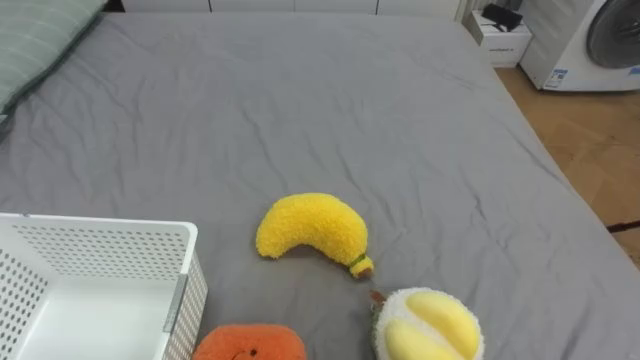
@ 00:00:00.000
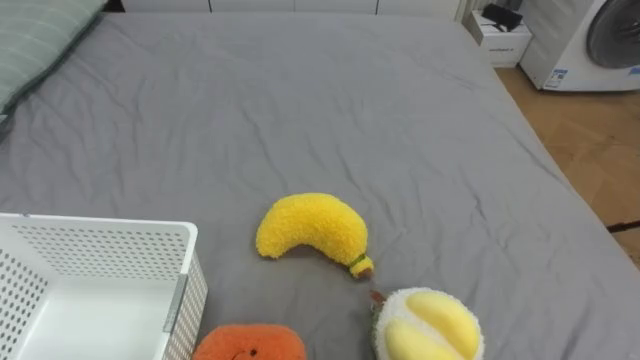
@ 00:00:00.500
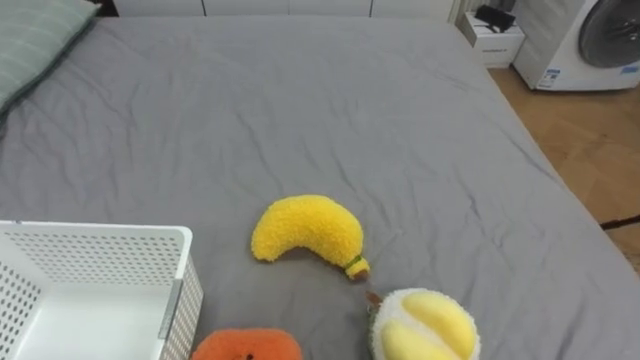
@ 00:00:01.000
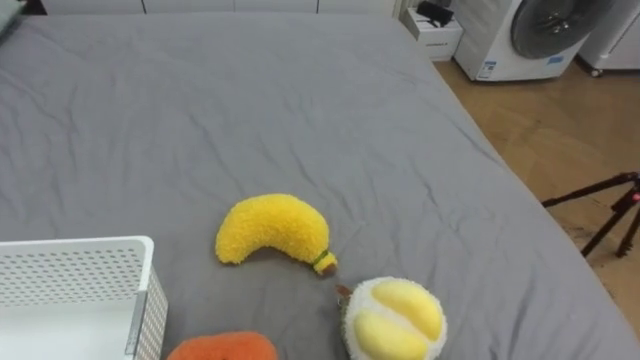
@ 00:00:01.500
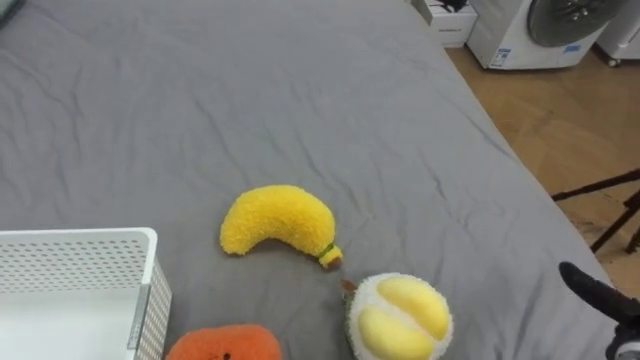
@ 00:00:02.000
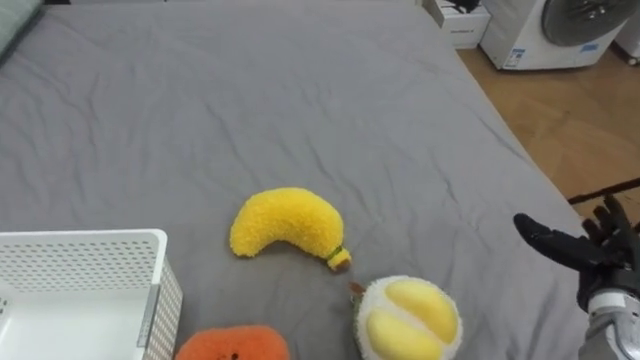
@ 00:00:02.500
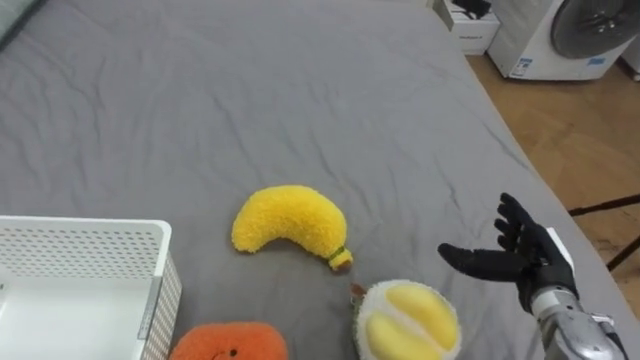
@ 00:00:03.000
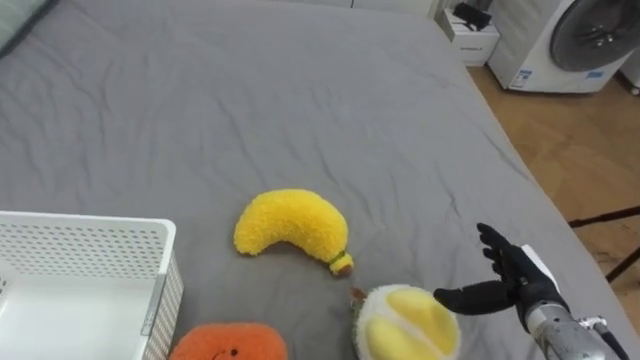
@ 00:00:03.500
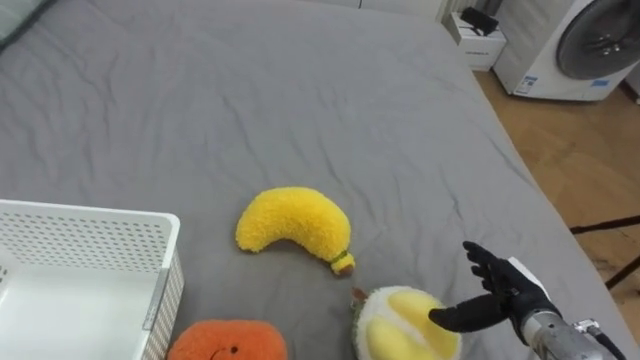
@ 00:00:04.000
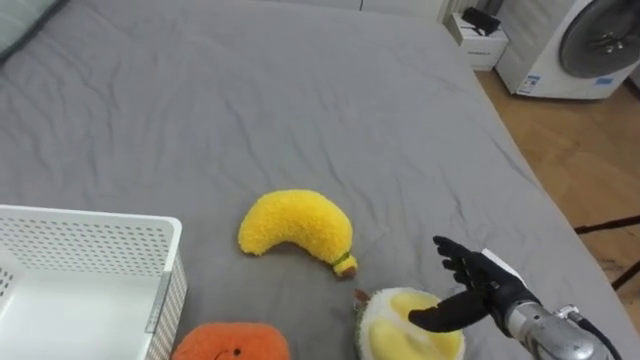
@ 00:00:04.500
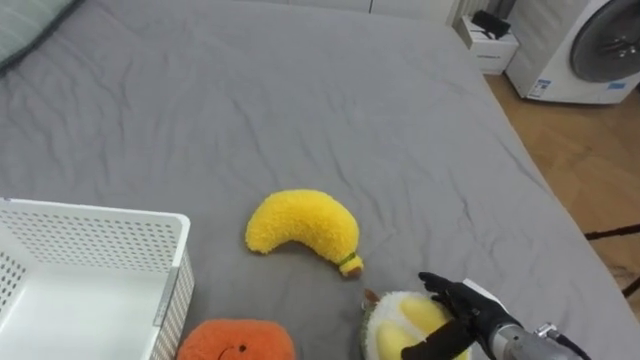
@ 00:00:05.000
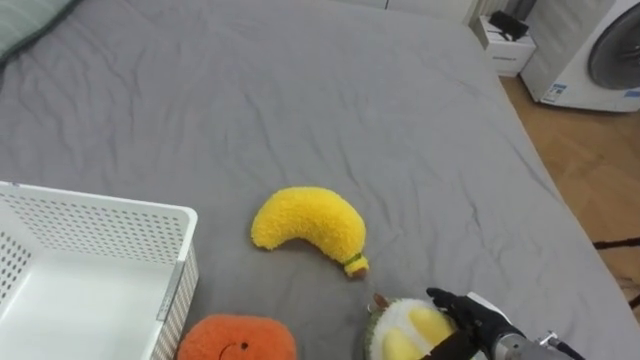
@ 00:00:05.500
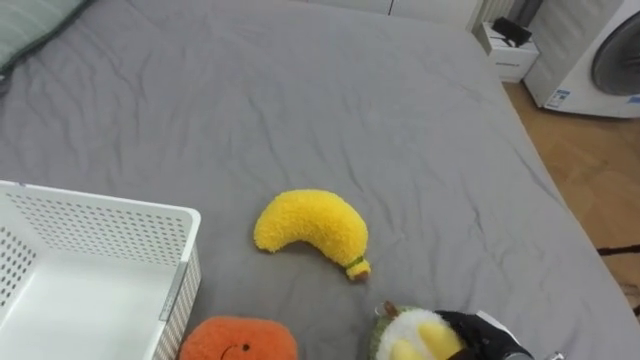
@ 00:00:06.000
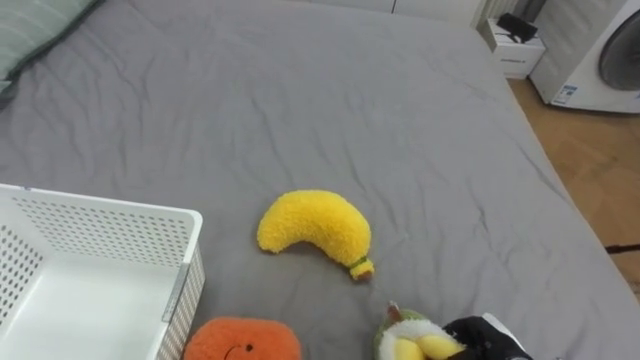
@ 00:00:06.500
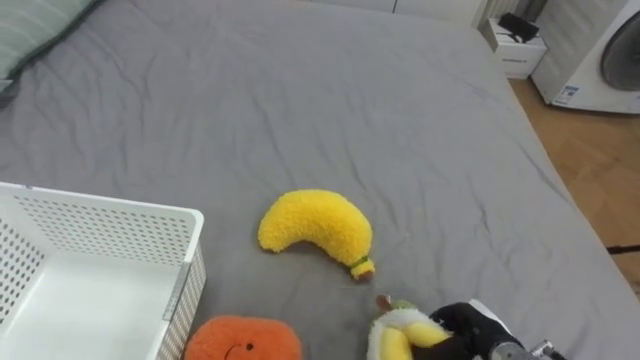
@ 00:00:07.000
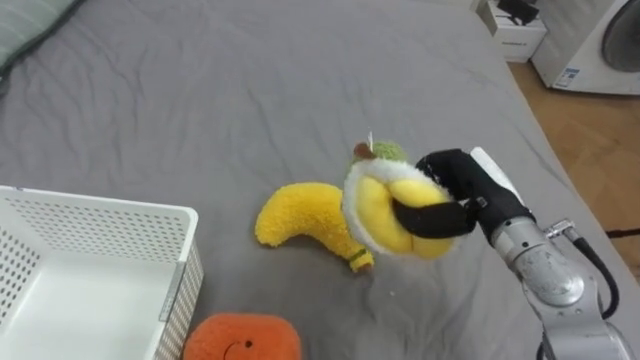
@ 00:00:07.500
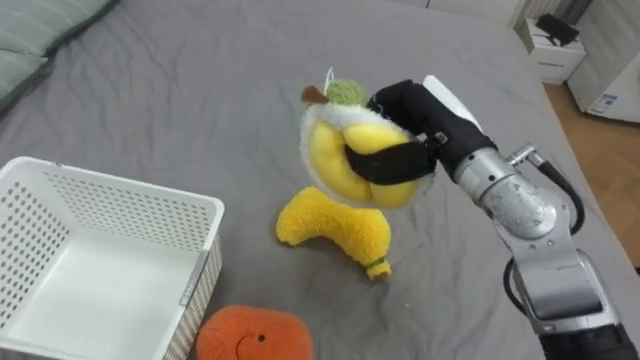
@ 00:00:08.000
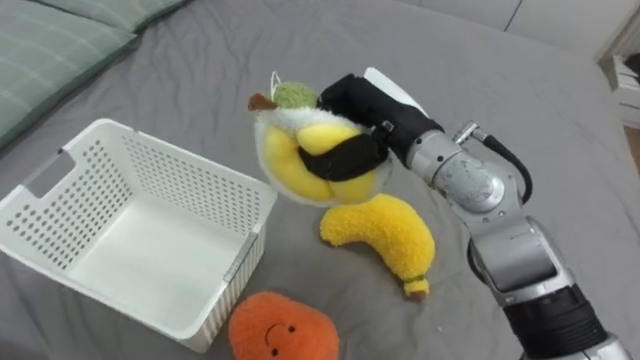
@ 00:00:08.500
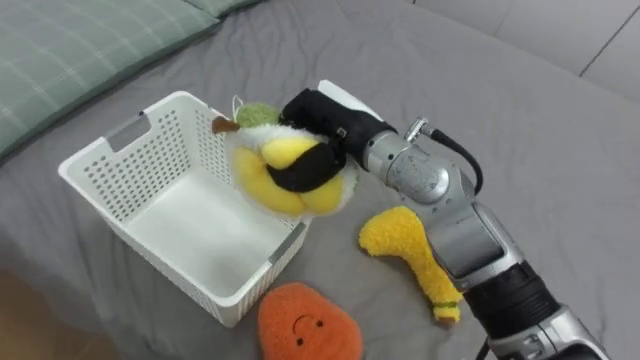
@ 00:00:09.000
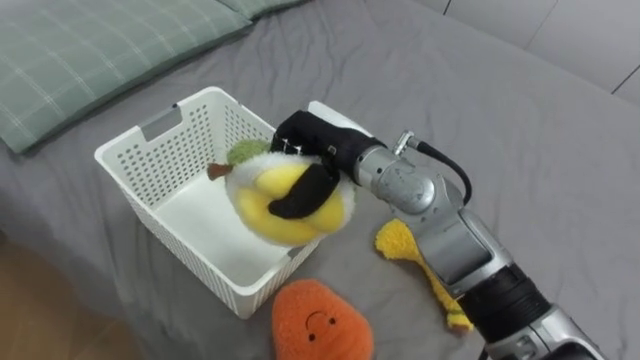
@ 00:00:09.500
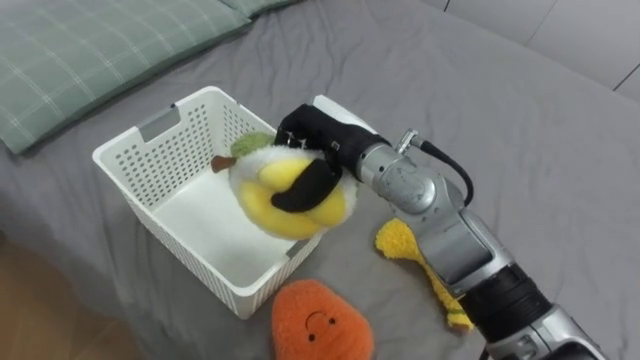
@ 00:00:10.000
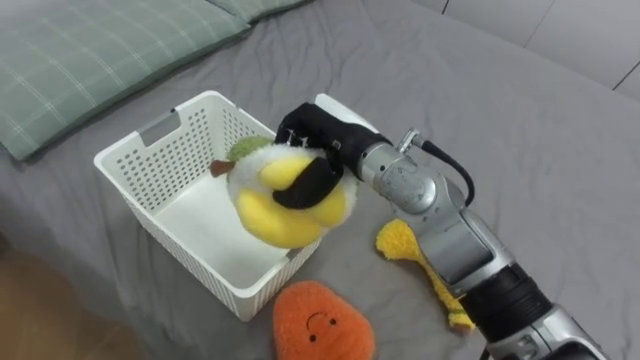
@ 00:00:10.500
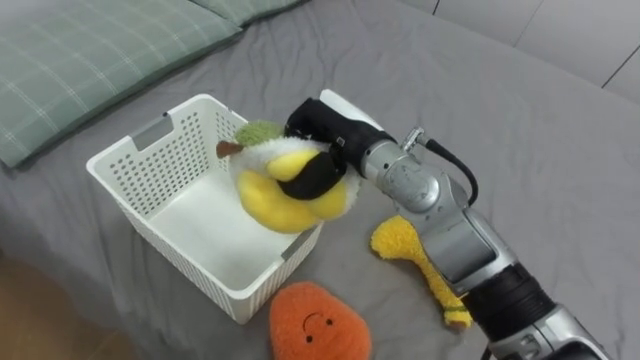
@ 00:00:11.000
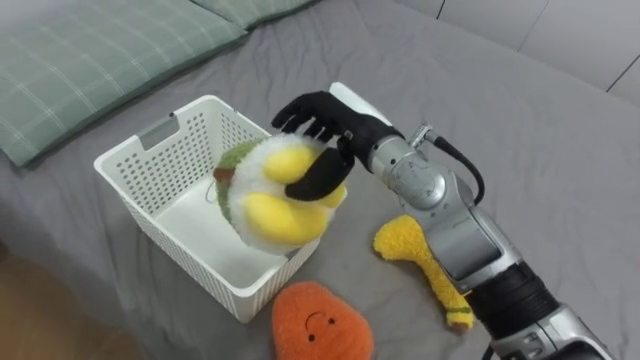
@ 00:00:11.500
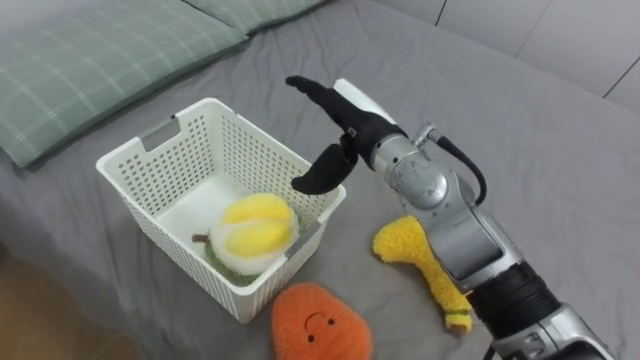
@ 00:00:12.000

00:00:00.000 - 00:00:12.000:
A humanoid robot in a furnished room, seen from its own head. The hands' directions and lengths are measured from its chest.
Task of the whole recording: Put the toys on the bed into the basket on the left.
00:00:02.000 - 00:00:04.000: The right hand goes approximately 15 cm to the left and forward.
00:00:04.000 - 00:00:06.000: The right hand moves downward, roughly 5 cm.
00:00:06.000 - 00:00:08.000: The right hand moves upward and forward, approximately 30 cm, and closes up.
00:00:08.000 - 00:00:10.000: The right hand goes some 10 cm to the left.
00:00:10.000 - 00:00:12.000: The right hand opens.

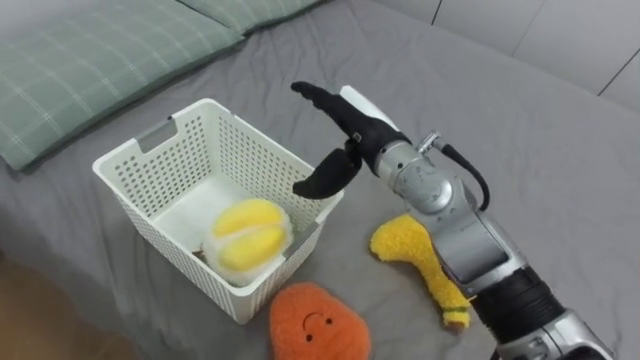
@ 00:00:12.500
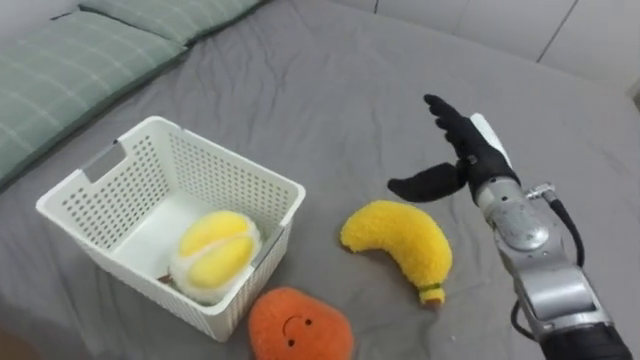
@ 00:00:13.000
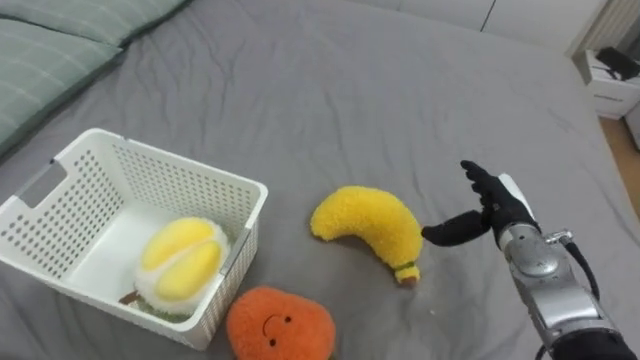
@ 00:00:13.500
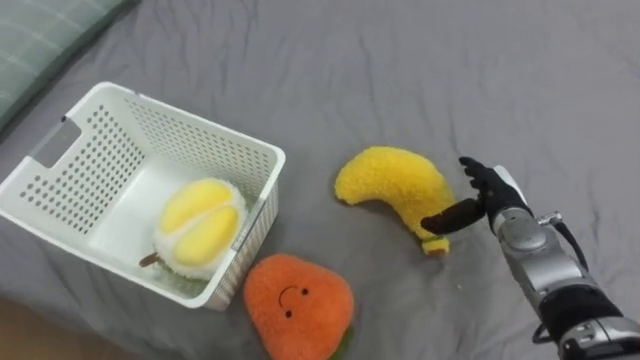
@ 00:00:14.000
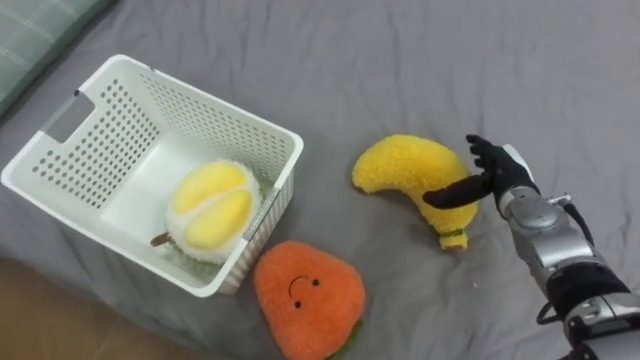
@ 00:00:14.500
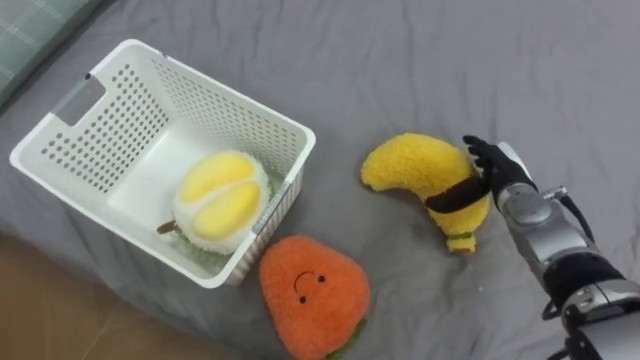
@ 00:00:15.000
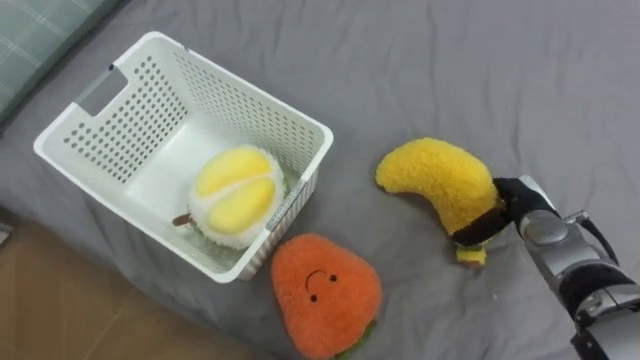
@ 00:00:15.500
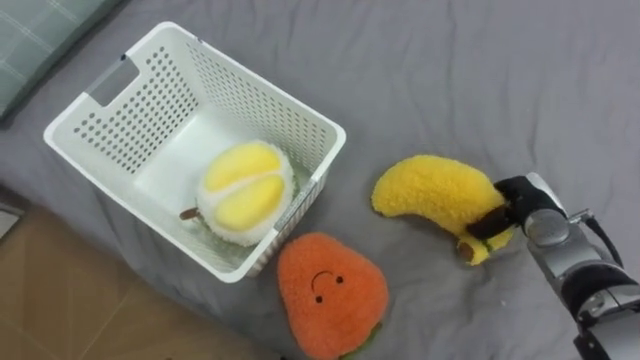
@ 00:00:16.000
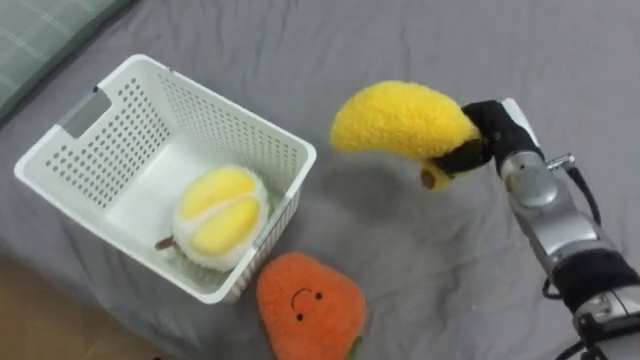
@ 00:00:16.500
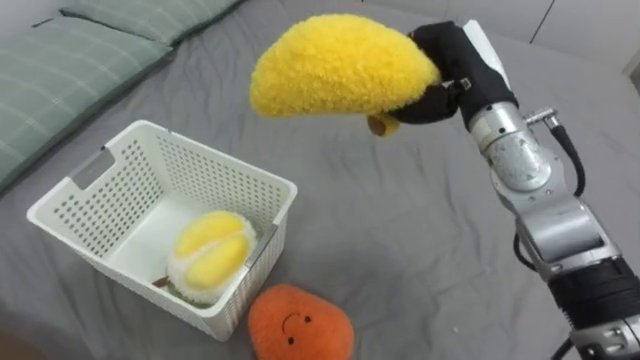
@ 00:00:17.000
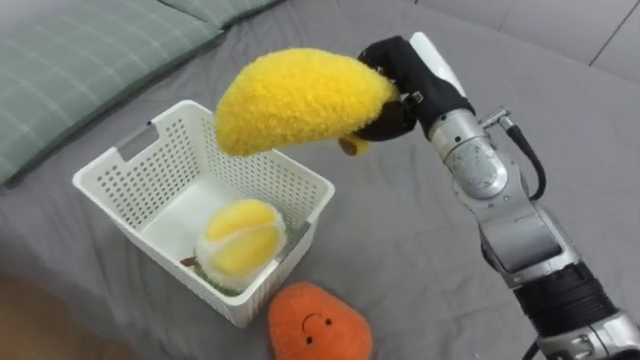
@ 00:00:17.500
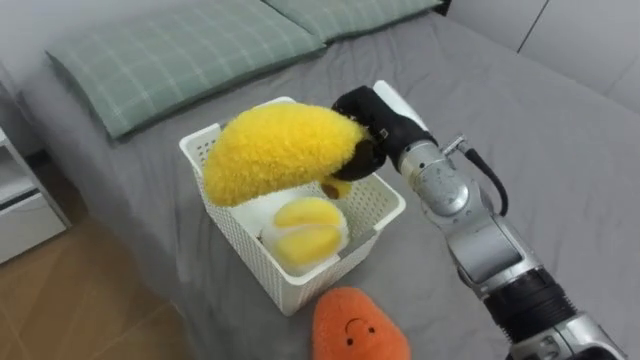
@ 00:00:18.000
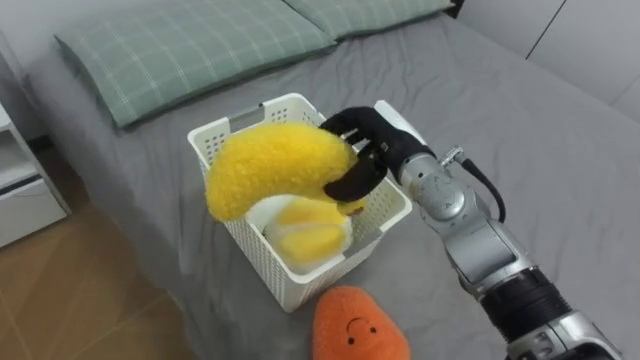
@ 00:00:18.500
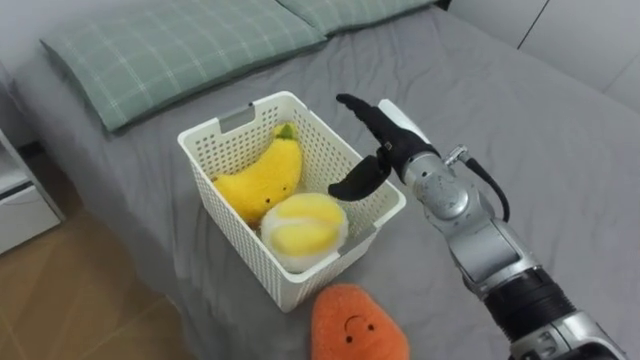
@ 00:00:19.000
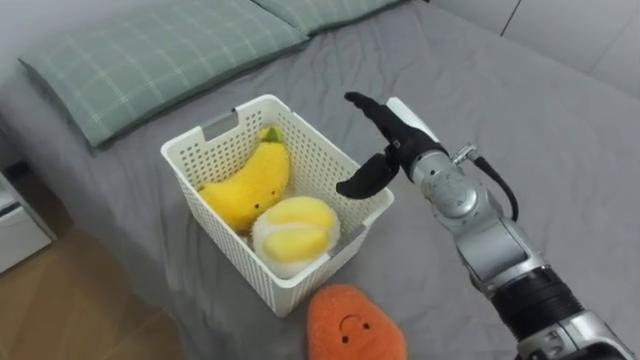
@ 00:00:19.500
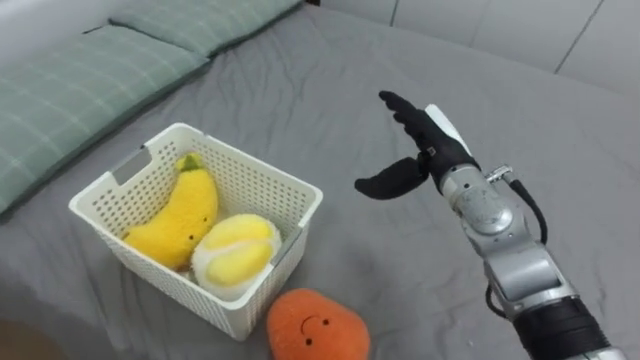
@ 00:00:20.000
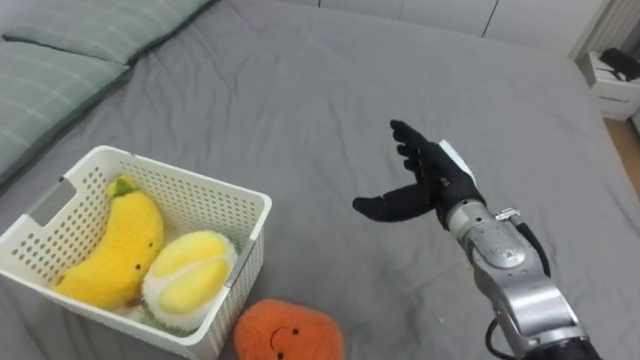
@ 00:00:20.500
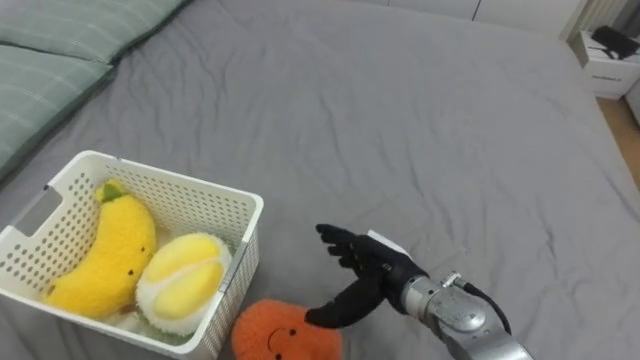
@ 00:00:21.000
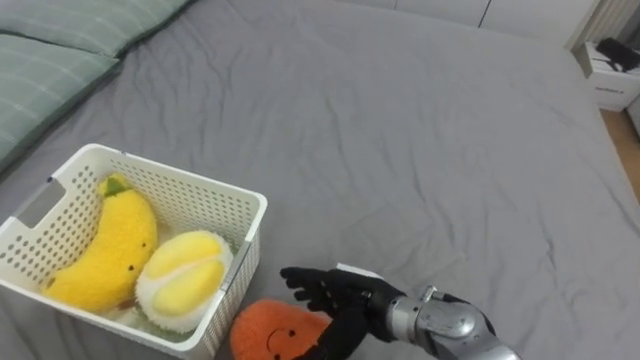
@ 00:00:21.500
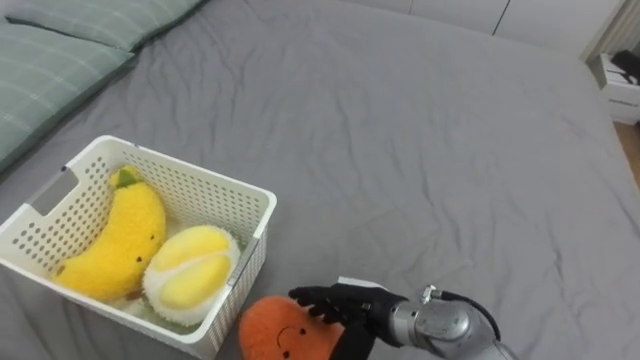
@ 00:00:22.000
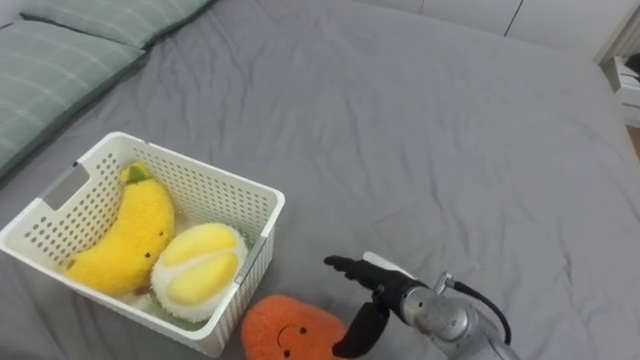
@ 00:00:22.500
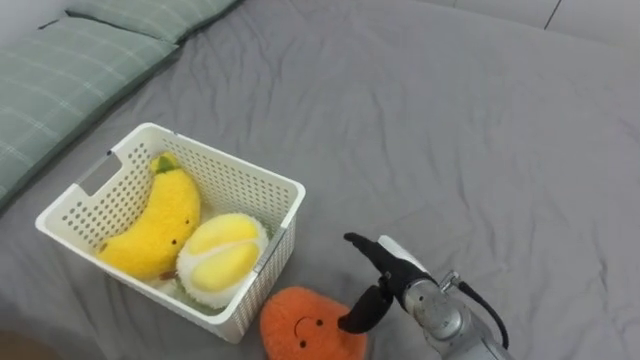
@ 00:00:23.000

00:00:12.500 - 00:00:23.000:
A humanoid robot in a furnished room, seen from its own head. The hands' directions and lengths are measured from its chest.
Task of the whole recording: Put the toys on the bed into the basket on the left.
00:00:12.500 - 00:00:14.500: The right hand travels to the right and downward by roughly 25 cm.
00:00:14.500 - 00:00:16.500: The right hand heads upward, covering about 5 cm, and closes up.
00:00:16.500 - 00:00:19.000: The right hand moves to the left, some 15 cm, and opens.
00:00:19.000 - 00:00:21.000: The right hand is displaced backward and downward by roughly 15 cm.
